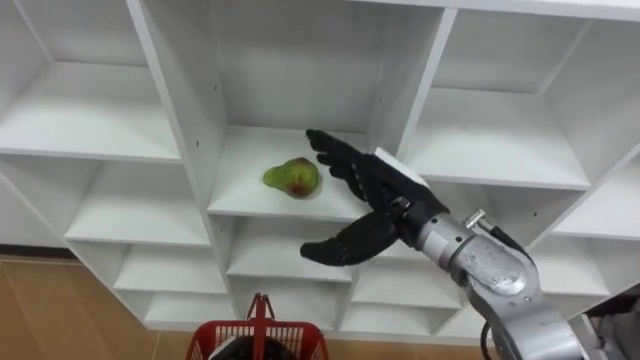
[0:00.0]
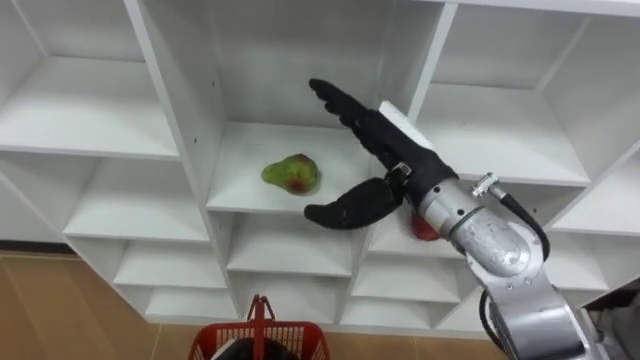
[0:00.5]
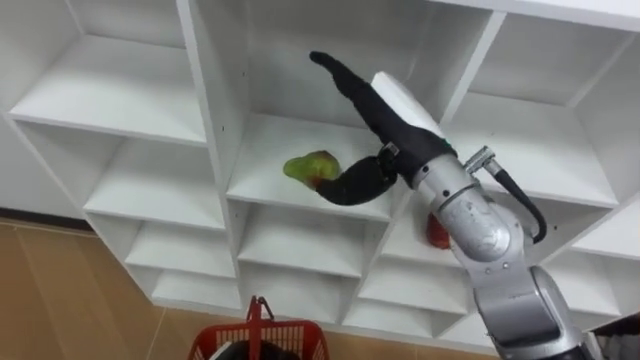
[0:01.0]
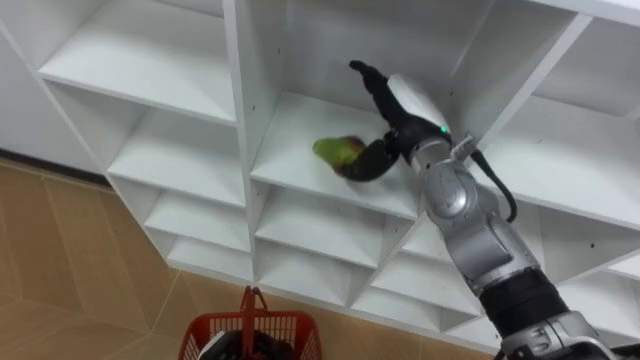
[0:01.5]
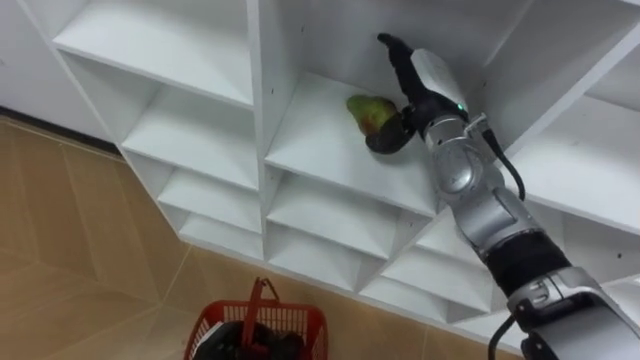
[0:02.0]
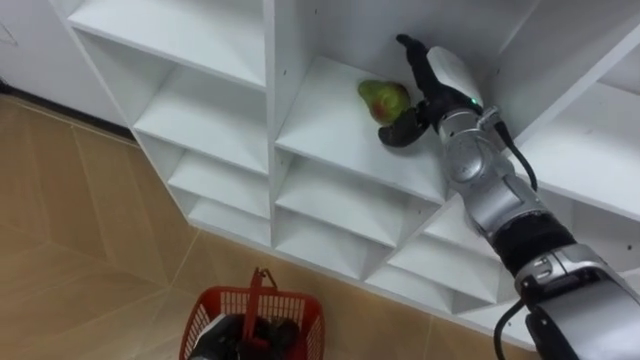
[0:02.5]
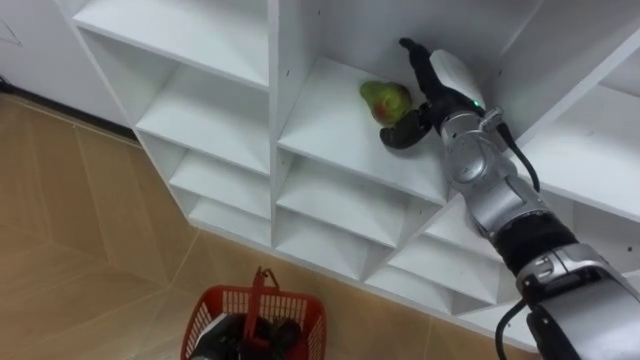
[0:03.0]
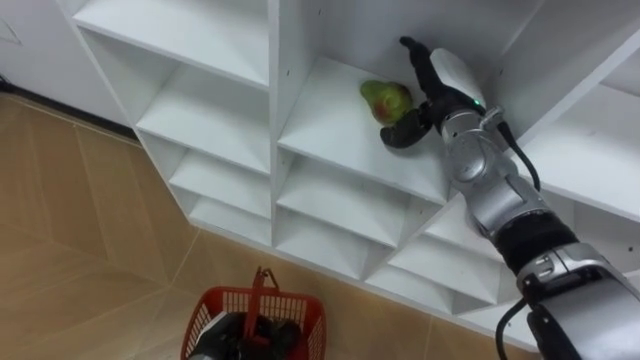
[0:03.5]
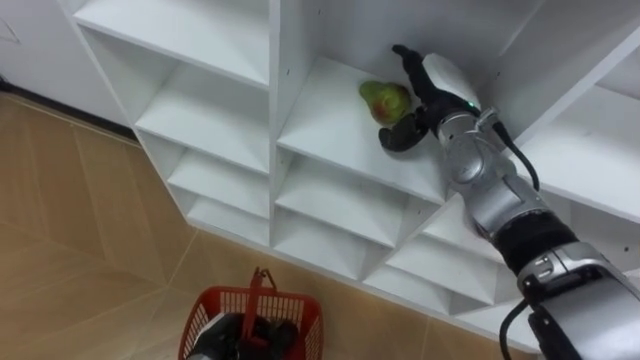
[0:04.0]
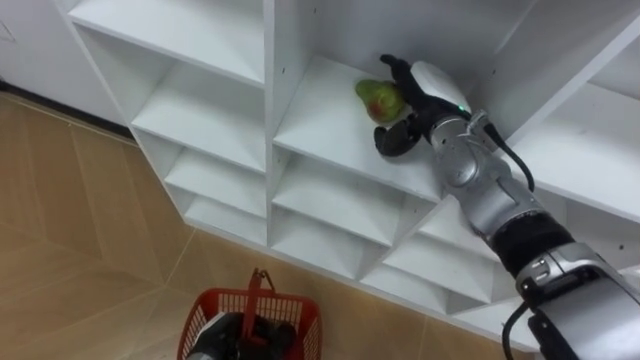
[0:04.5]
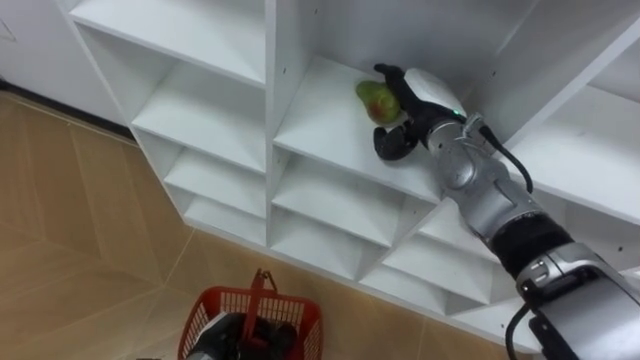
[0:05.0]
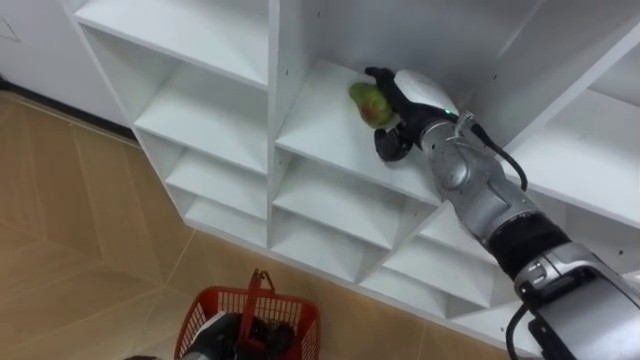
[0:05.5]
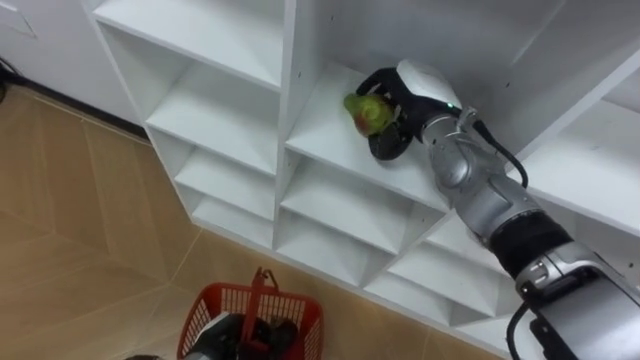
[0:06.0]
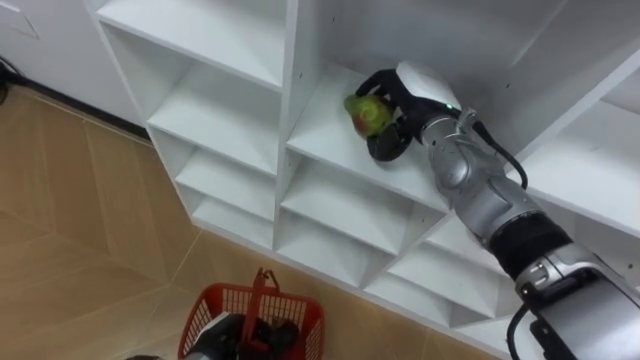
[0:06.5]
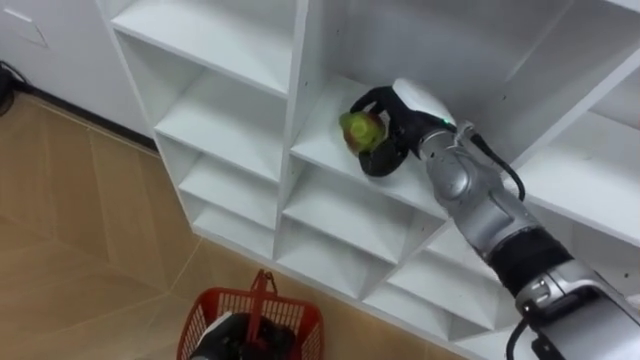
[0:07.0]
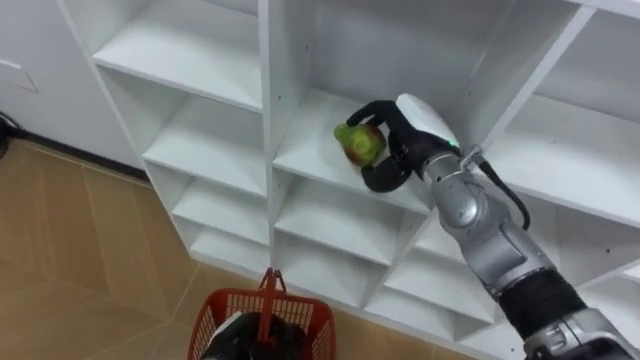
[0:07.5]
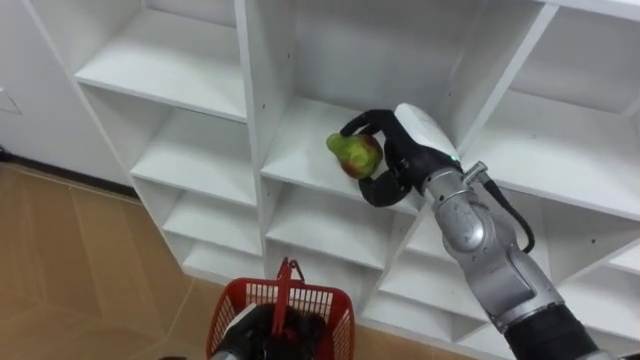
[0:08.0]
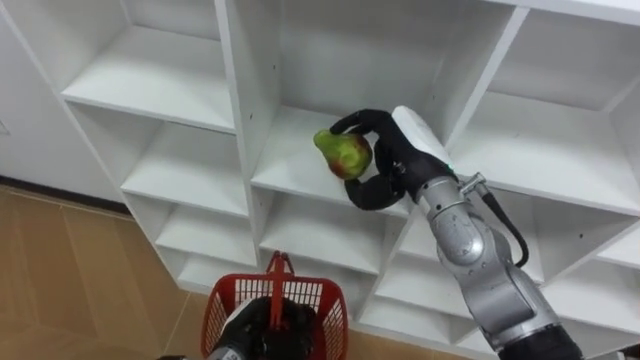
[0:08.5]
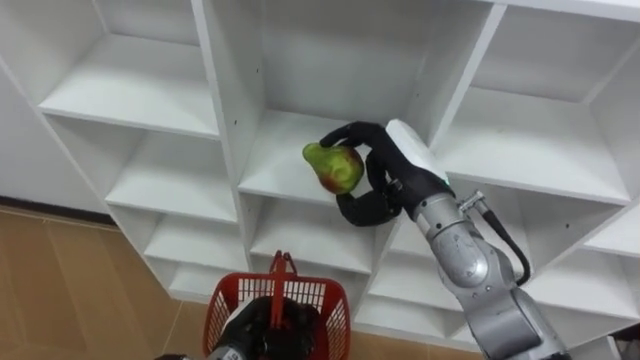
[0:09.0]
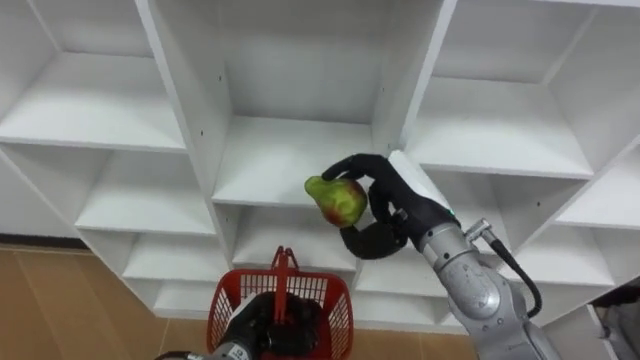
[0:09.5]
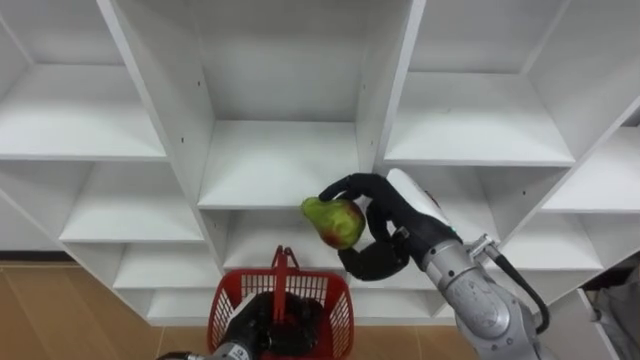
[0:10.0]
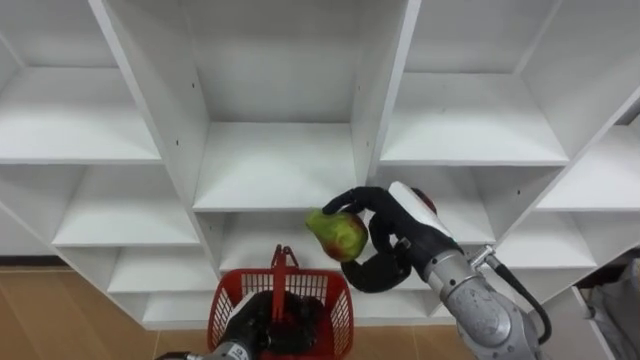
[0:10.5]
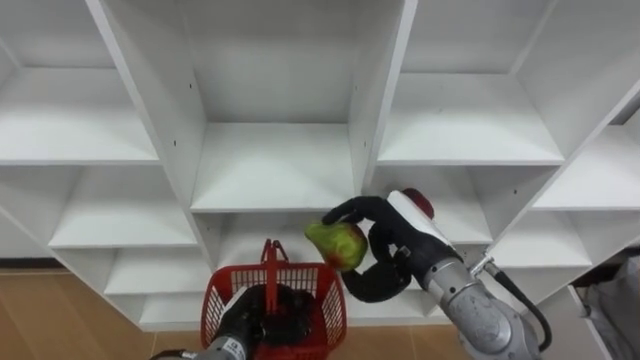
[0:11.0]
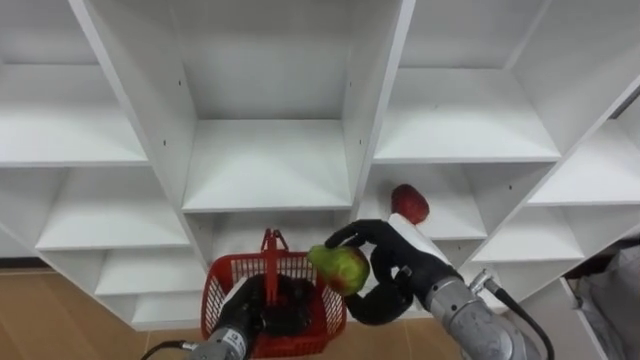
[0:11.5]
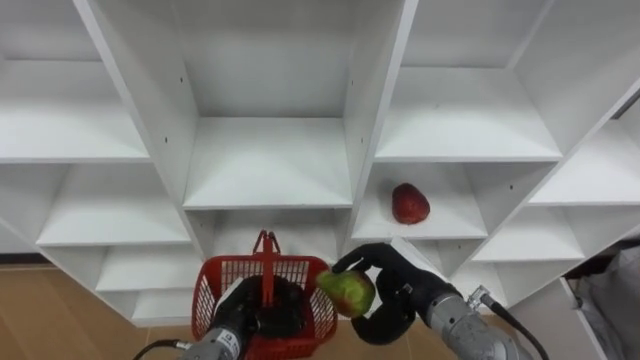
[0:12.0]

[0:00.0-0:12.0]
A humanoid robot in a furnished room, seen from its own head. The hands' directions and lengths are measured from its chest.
Task of the whole recording: Hold the basket and collect the fruits from 3 different cells of the closet into it.
0:00.0 to 0:02.0: The right hand moves forward, roughly 15 cm.
0:04.0 to 0:06.0: The right hand closes.
0:06.0 to 0:08.0: The right hand travels backward by about 5 cm; the left hand ends up about 5 cm from where it was.
0:08.0 to 0:10.0: The right hand shifts about 10 cm backward.
0:10.0 to 0:12.0: The right hand is displaced downward by some 10 cm.

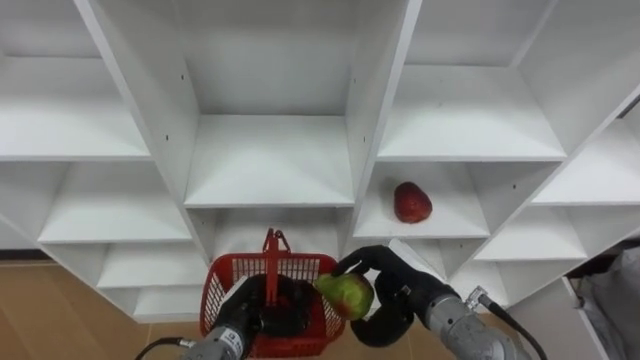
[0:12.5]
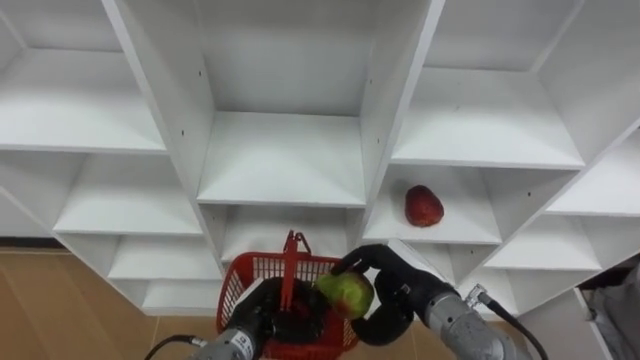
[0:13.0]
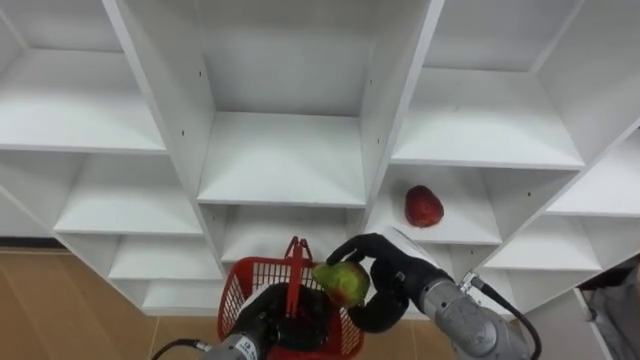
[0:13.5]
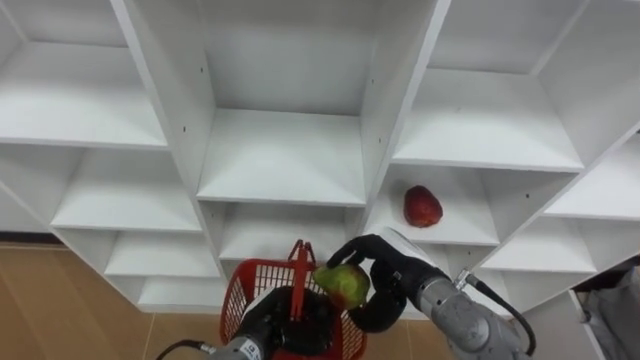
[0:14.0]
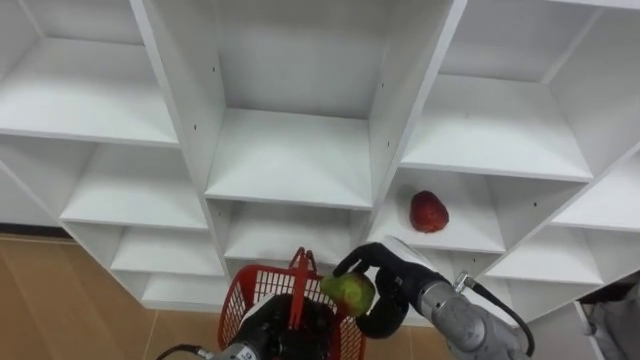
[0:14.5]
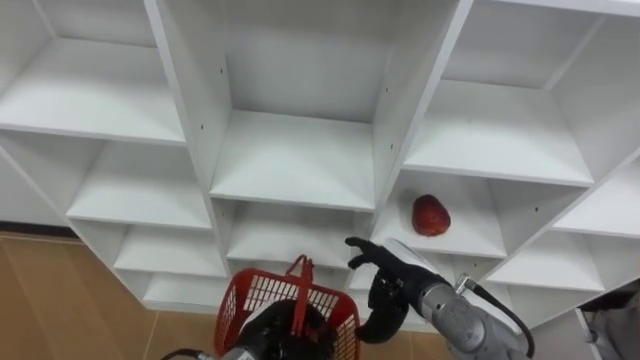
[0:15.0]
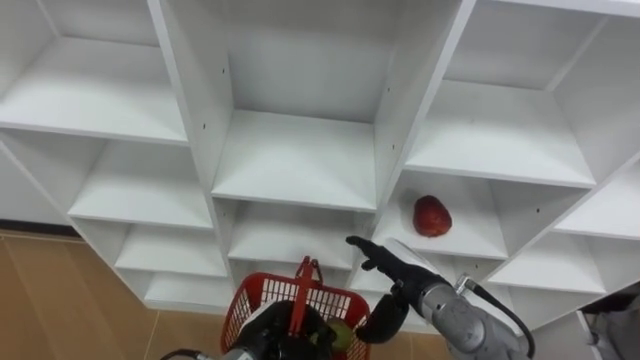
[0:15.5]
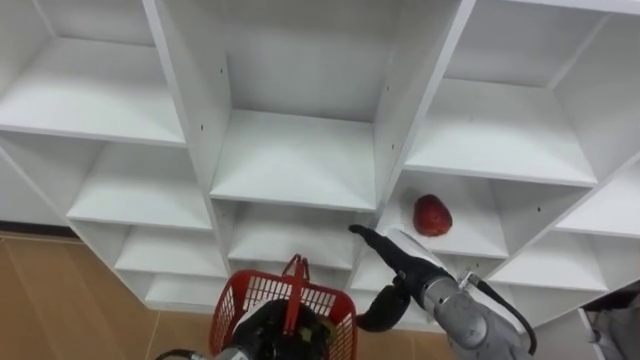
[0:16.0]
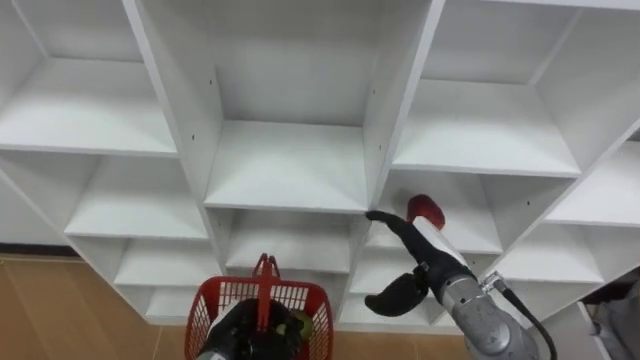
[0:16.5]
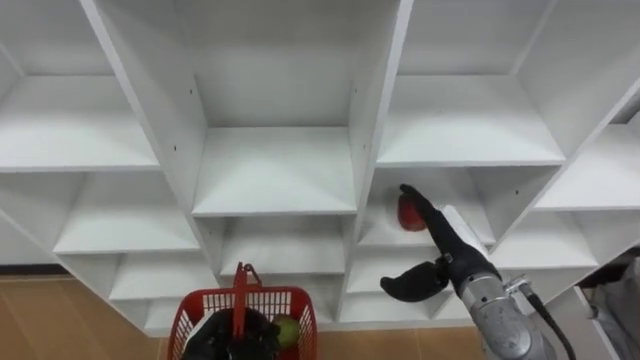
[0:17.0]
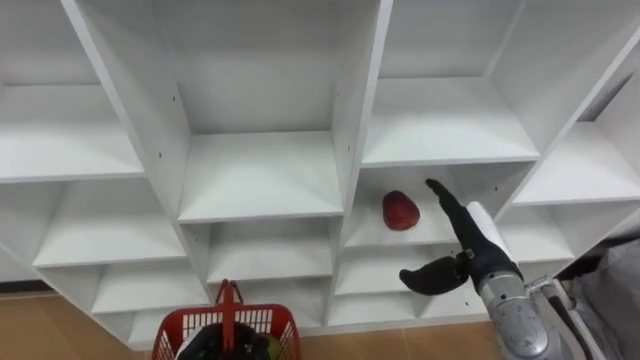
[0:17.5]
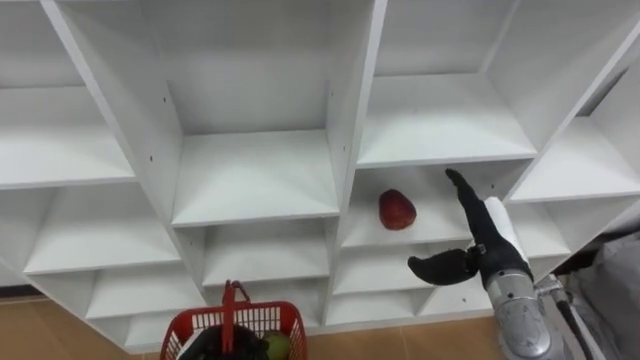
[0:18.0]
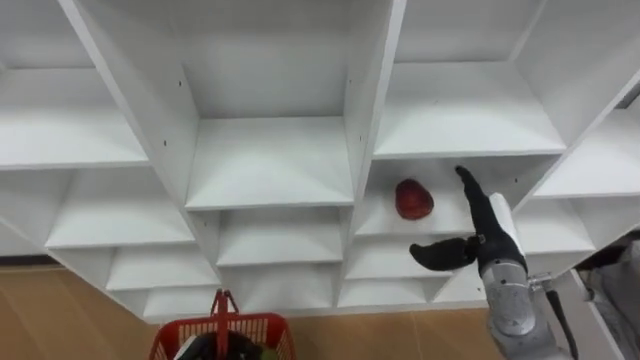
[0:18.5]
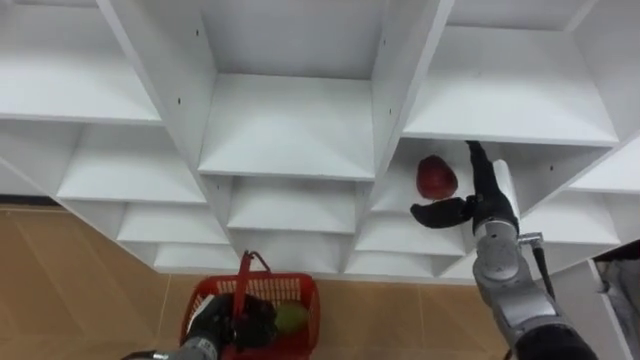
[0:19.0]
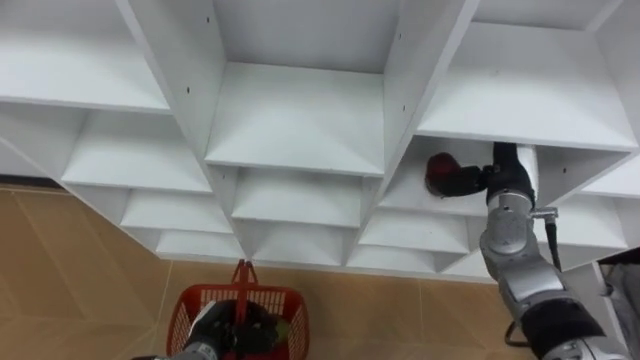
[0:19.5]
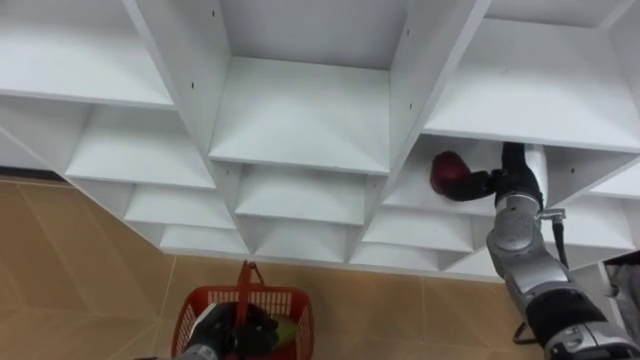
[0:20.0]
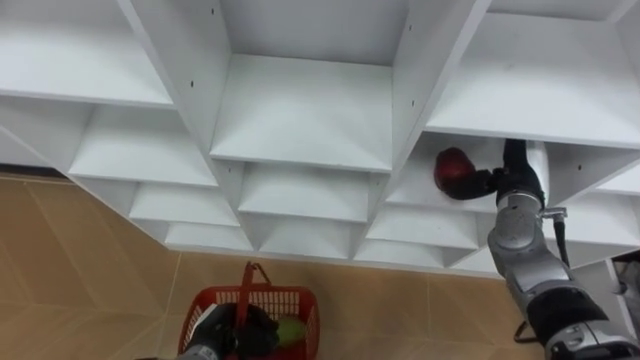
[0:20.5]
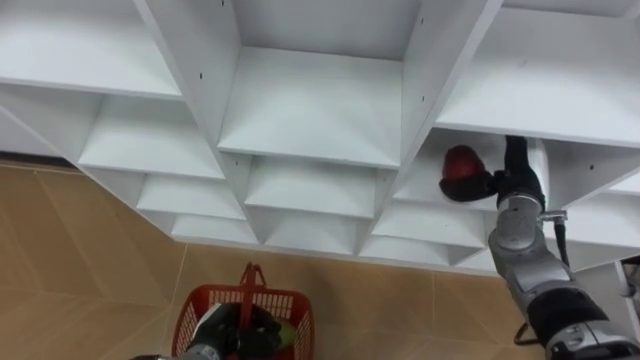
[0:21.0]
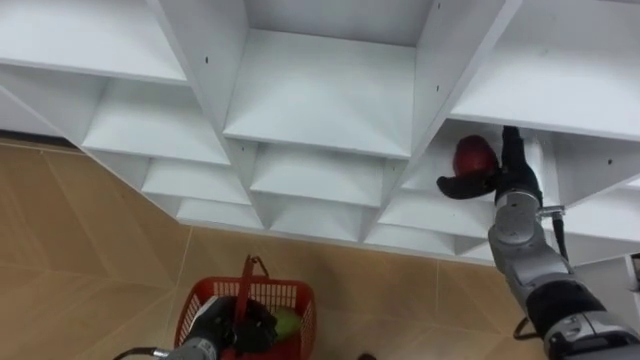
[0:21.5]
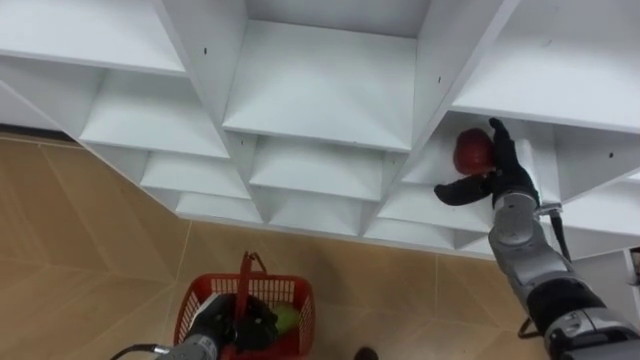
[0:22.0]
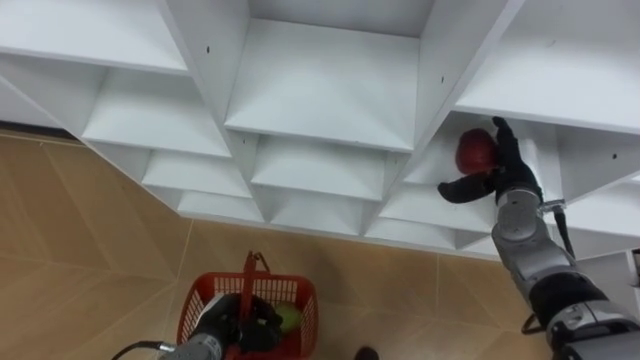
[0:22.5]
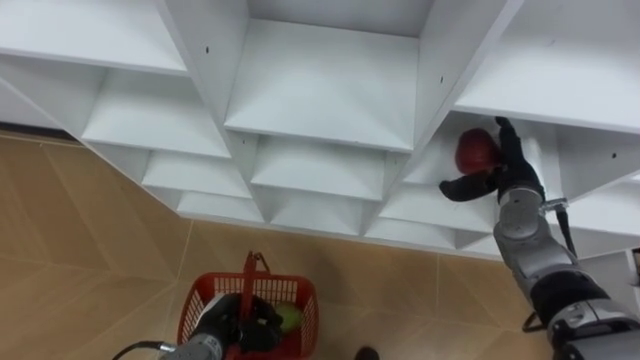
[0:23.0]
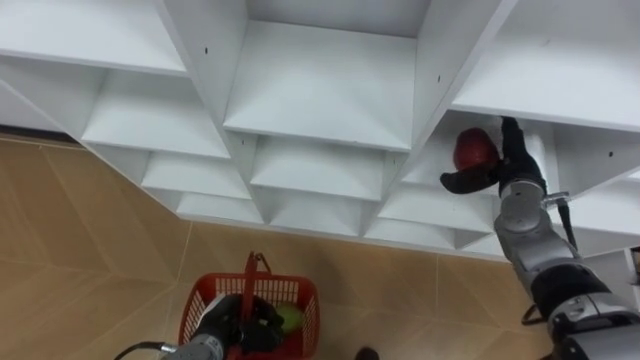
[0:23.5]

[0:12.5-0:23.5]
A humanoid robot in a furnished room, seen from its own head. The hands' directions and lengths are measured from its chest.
Task of the whole recording: Hold the basket and collect the fruits from 3 different cells of the closet into it.
0:14.5 to 0:16.0: The right hand opens its fingers.
0:16.0 to 0:18.0: The left hand travels to the left by roughly 10 cm; the right hand travels to the right by about 10 cm.
0:18.0 to 0:20.0: The right hand heads forward, covering about 10 cm.
